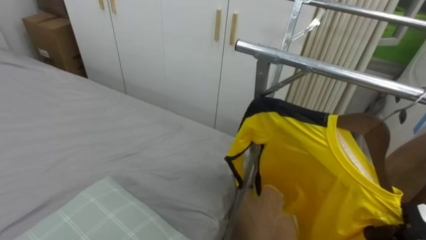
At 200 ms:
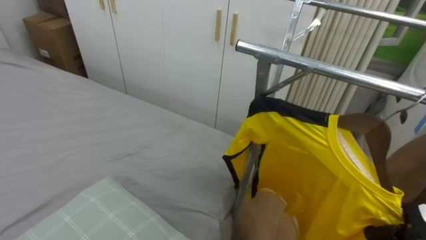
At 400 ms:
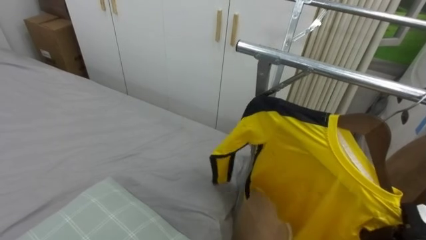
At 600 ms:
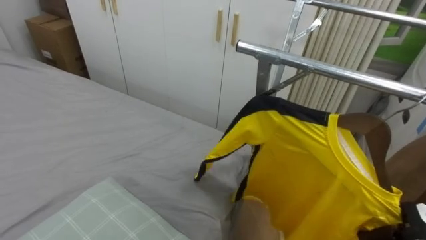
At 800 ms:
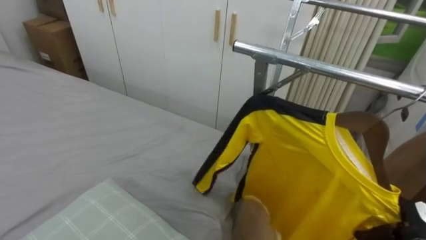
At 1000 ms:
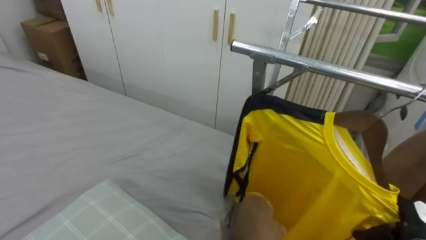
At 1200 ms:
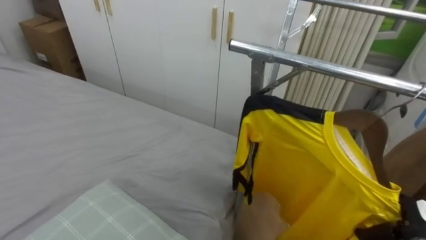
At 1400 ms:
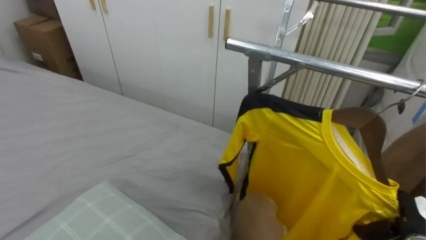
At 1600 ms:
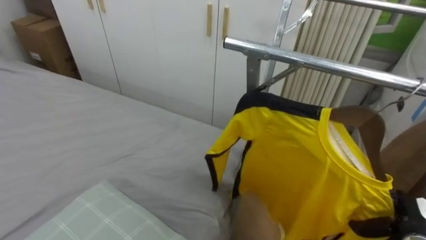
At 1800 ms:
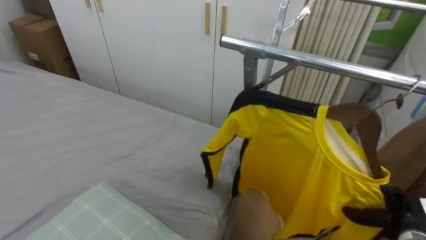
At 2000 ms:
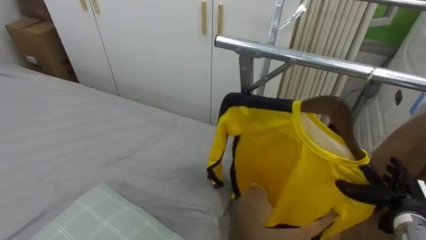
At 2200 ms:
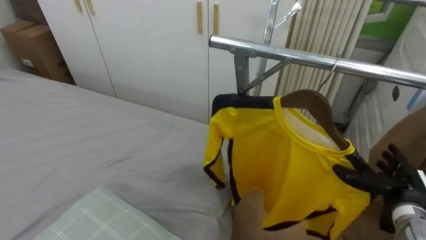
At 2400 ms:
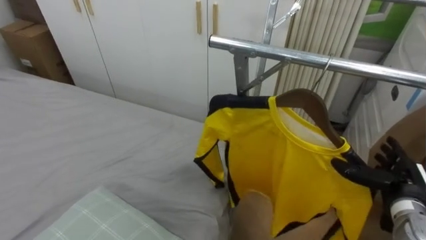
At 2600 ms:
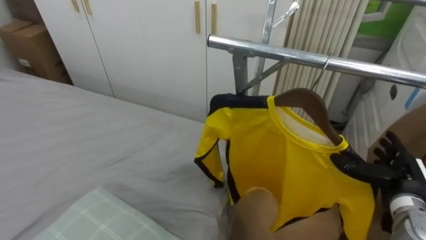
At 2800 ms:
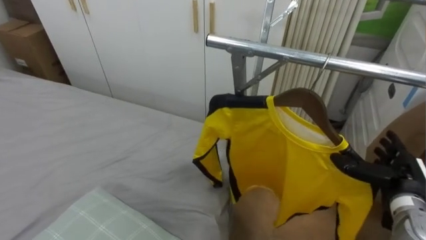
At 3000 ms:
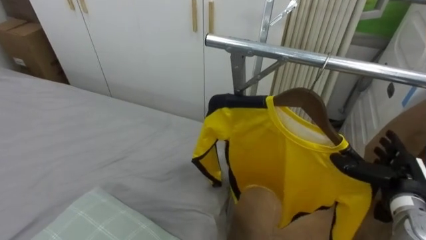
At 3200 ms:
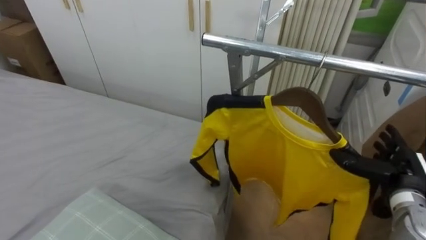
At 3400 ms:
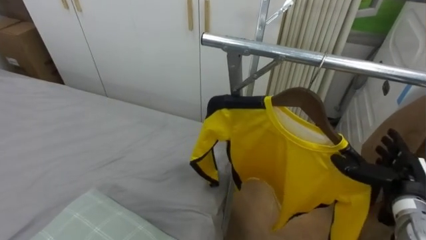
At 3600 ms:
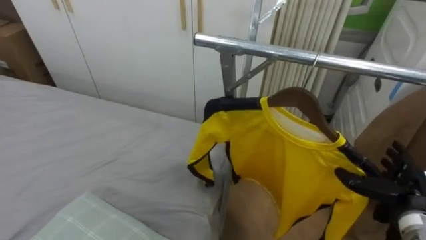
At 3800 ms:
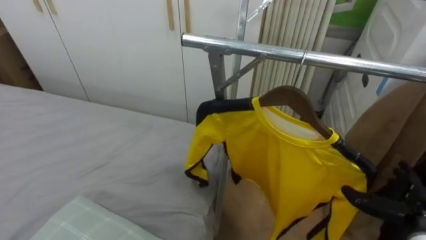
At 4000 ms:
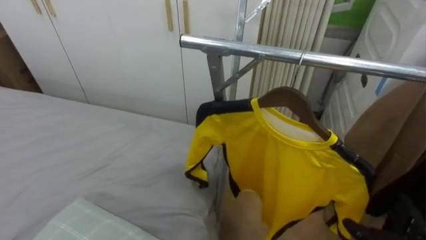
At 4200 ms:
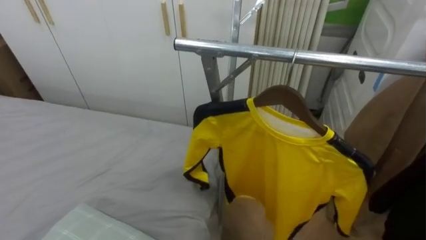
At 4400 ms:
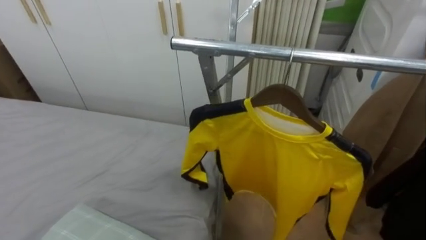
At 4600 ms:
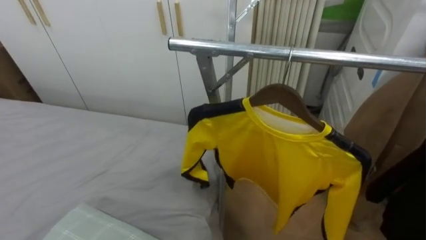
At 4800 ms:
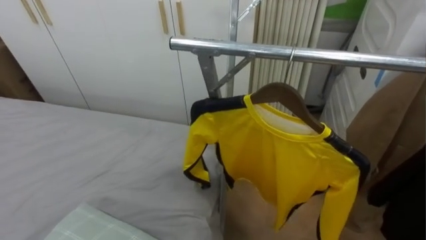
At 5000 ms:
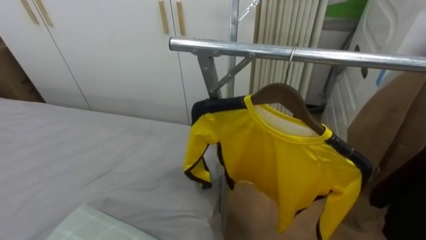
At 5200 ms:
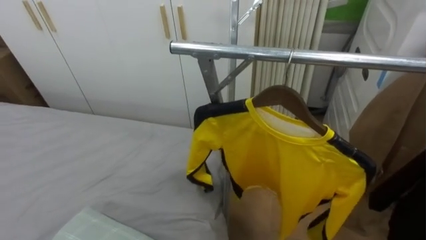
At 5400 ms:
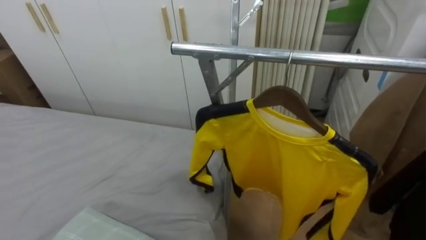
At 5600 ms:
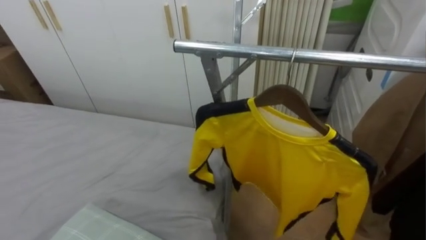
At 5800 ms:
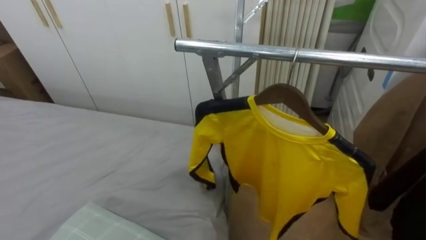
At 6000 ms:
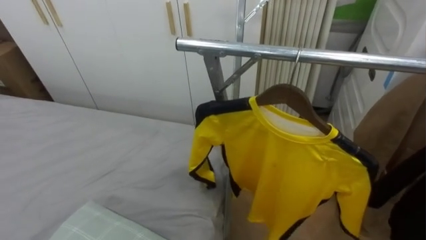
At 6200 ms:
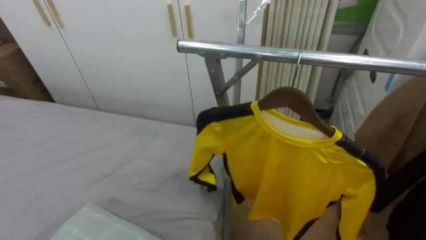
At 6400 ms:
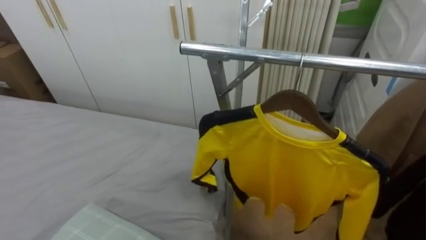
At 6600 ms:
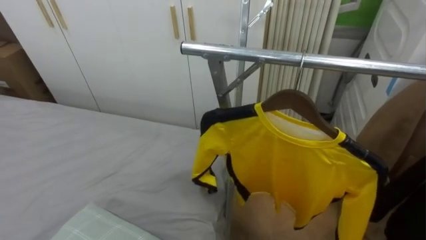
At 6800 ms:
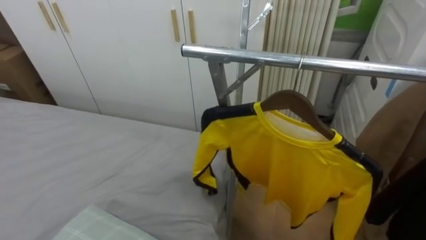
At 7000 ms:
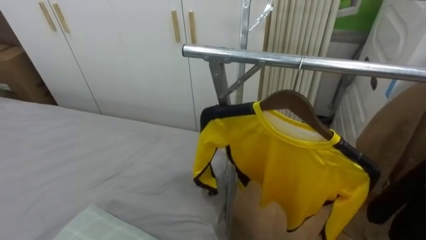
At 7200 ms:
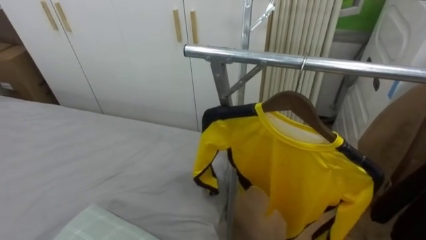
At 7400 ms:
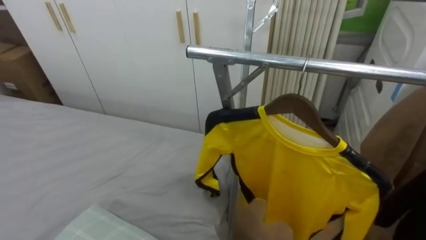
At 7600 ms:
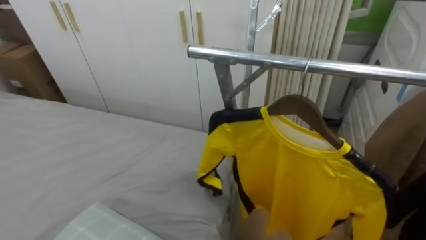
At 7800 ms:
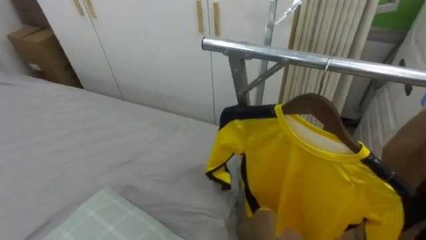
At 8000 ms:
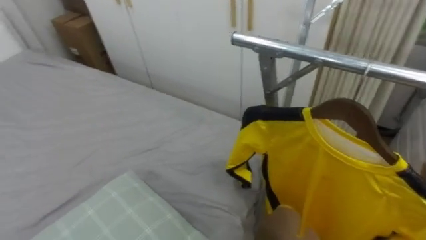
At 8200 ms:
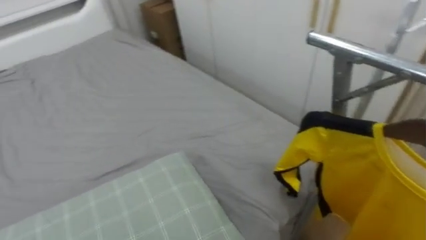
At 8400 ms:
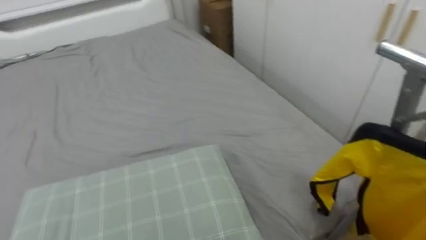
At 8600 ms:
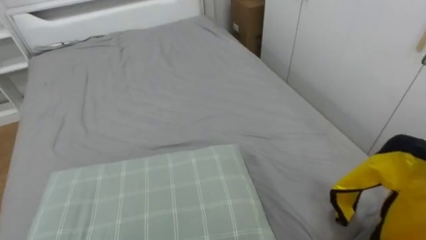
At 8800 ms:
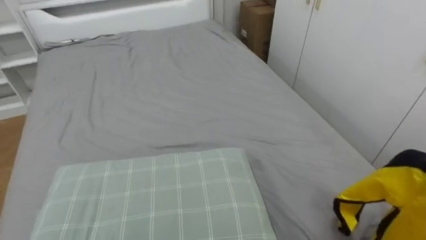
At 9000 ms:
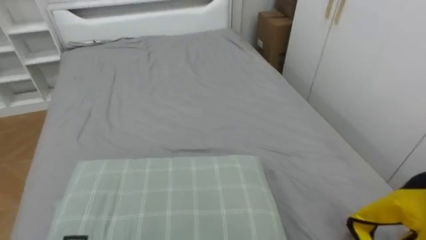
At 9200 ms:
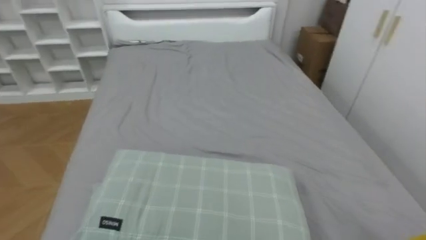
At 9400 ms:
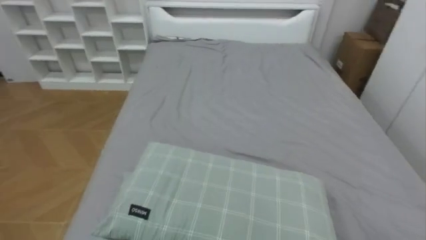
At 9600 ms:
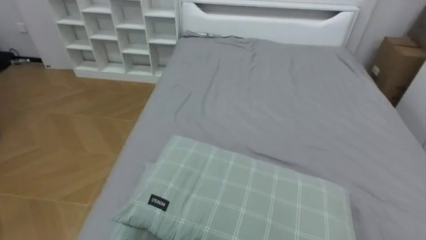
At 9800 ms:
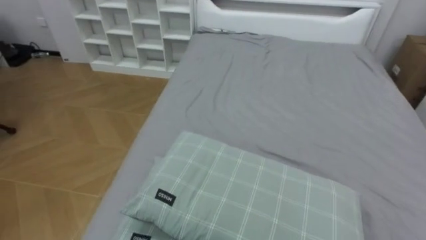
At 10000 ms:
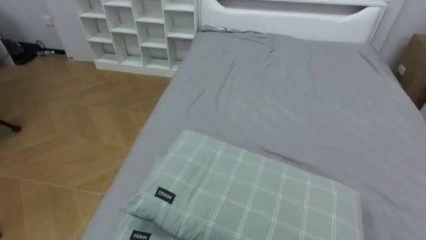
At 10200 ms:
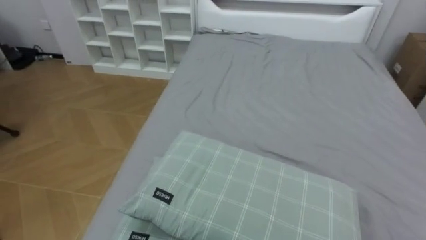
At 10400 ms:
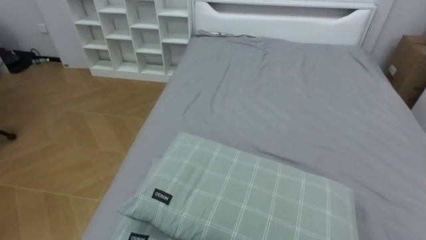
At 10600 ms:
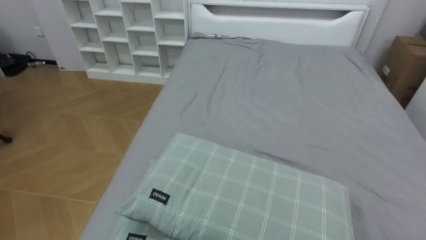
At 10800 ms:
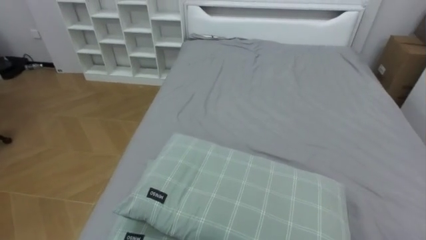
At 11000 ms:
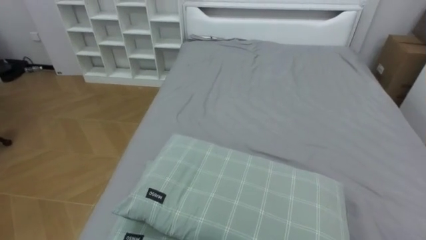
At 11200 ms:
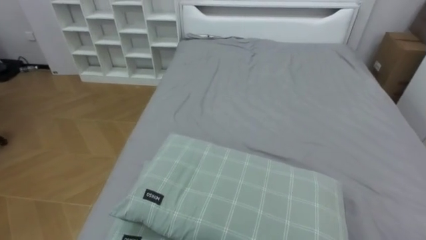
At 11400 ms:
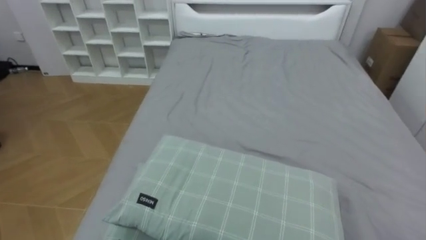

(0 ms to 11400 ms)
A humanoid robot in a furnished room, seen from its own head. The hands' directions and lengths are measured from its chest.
Task of the whole recording: Pick up the yellow shirt on the bed and hang it on the clothes rack on the right.
0 ms - 1400 ms: The right hand opens its fingers.
1400 ms - 2800 ms: The right hand shifts approximately 10 cm upward.
7200 ms - 8600 ms: The robot turns to its left by approximately 45 degrees.
8600 ms - 10000 ms: The robot turns to its left by about 35 degrees.

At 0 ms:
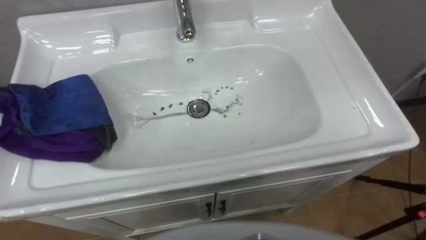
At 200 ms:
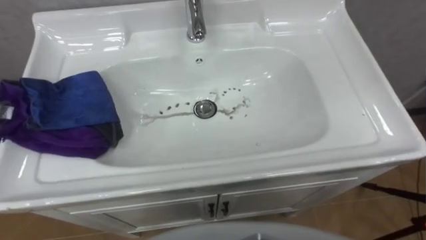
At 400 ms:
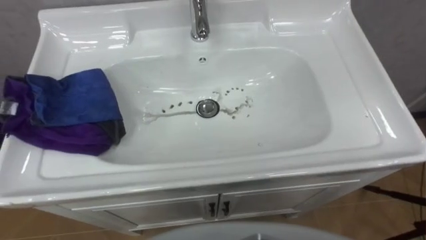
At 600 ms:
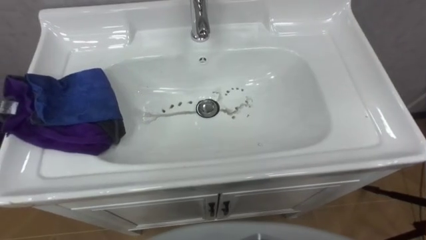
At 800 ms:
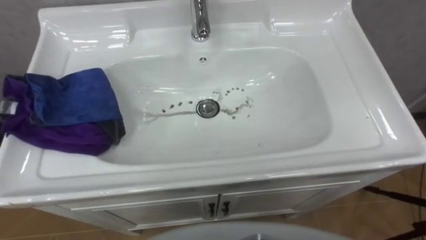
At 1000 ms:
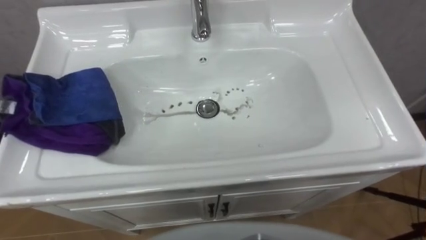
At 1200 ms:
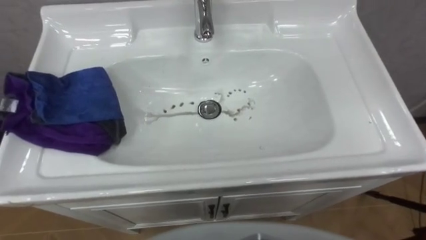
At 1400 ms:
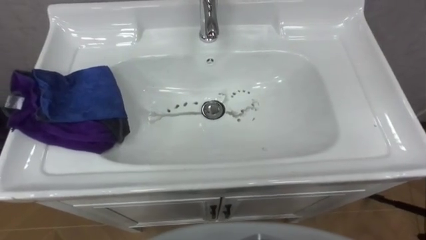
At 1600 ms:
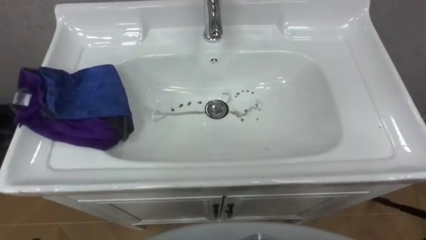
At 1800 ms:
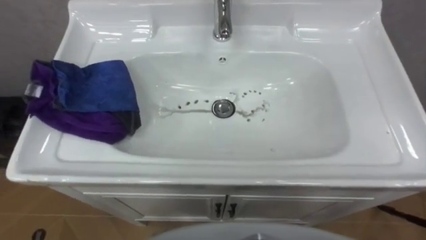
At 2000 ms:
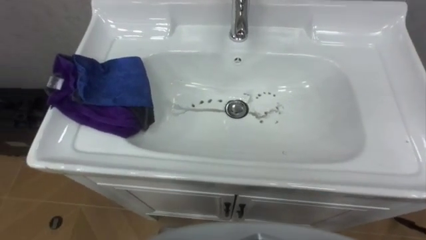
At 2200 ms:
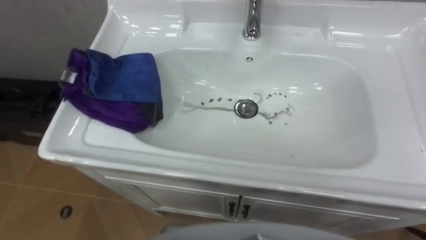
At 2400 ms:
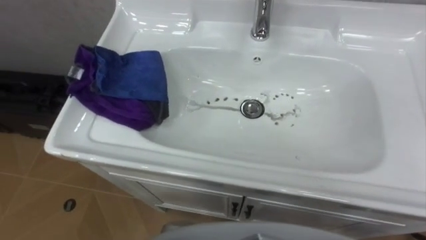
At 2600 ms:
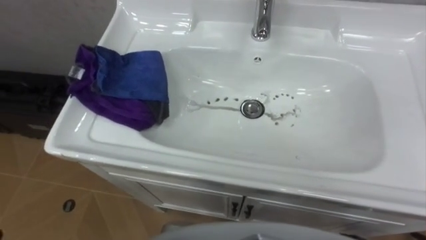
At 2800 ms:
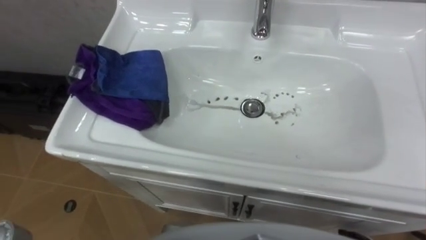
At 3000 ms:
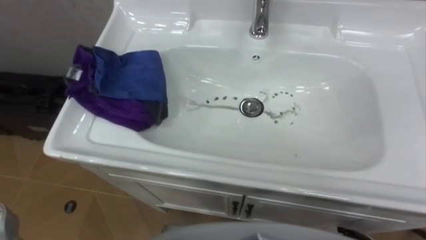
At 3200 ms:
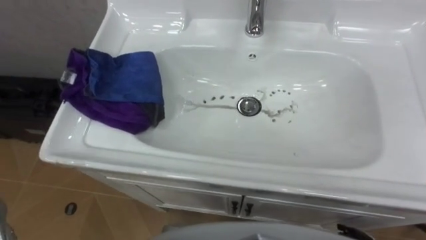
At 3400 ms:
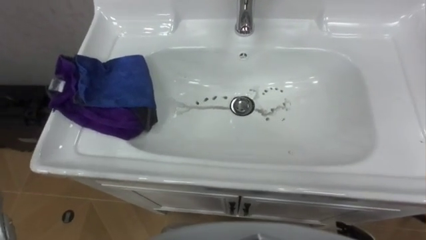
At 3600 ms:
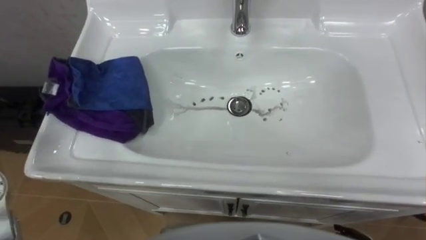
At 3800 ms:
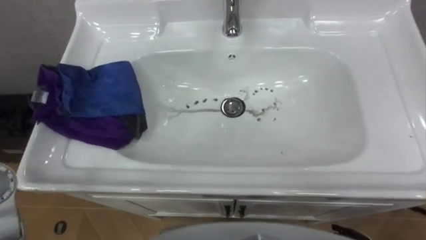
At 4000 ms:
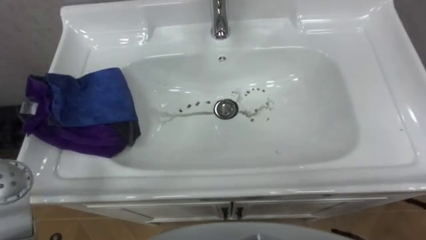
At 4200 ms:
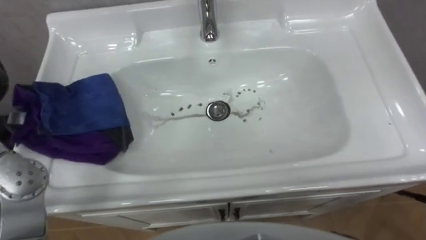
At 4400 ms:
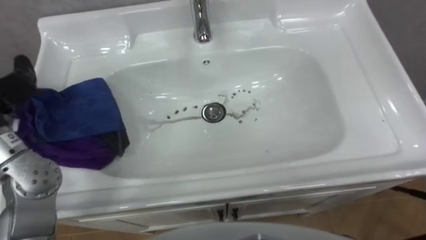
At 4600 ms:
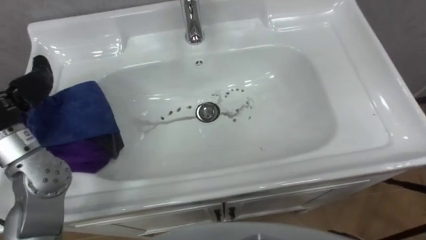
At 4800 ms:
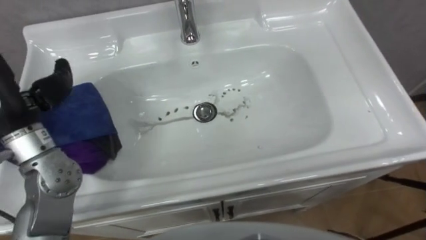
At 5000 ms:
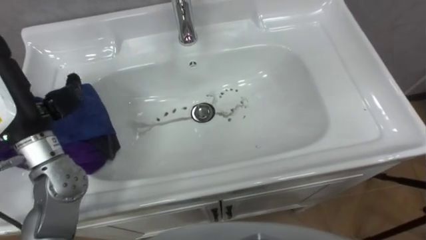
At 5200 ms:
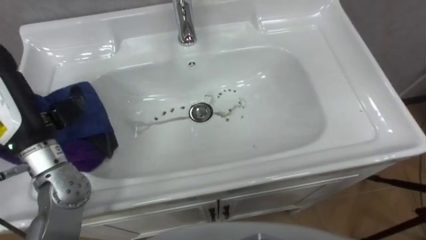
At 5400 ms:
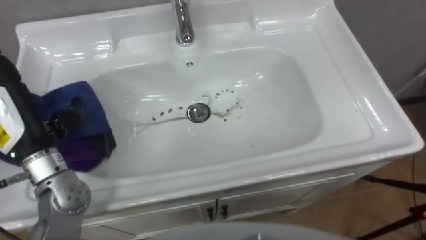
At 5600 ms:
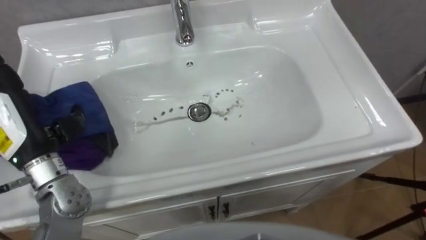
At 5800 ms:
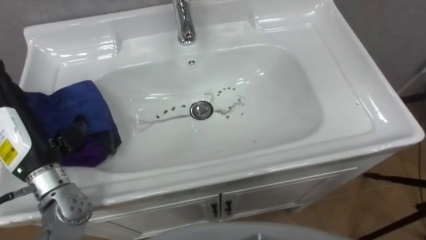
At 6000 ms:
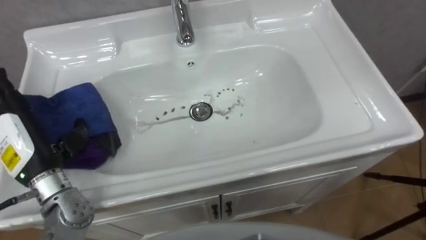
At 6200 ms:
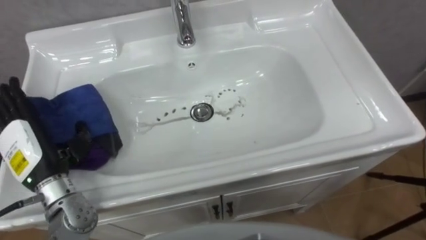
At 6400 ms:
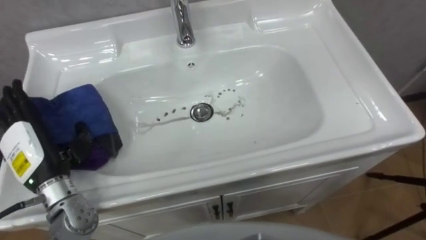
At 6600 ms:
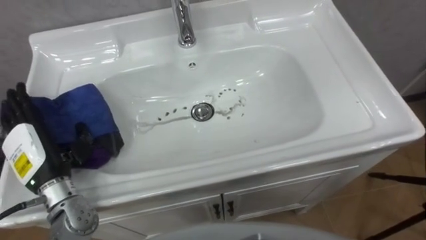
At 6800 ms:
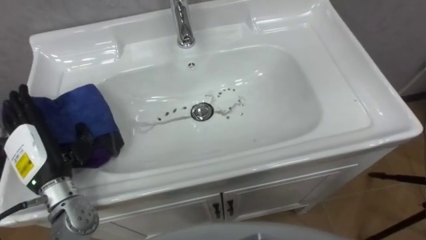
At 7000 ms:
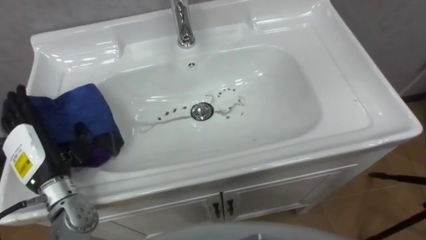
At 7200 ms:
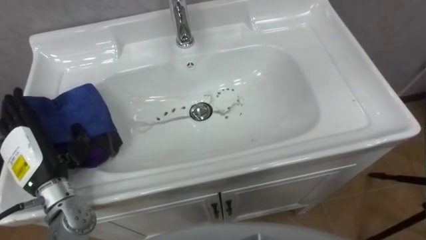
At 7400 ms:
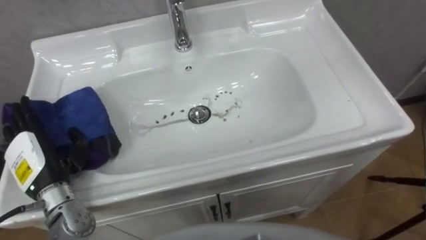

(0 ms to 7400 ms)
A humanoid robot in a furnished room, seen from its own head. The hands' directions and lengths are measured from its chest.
Task of the whole recording: Use the cloth on the right to wipe away the black stain in the sink.
6000 ms - 7400 ms: The left hand travels downward by about 5 cm.
